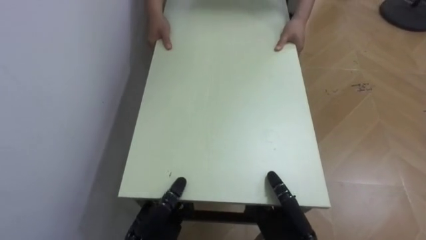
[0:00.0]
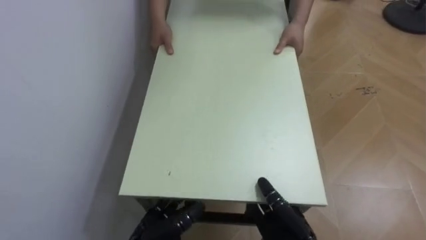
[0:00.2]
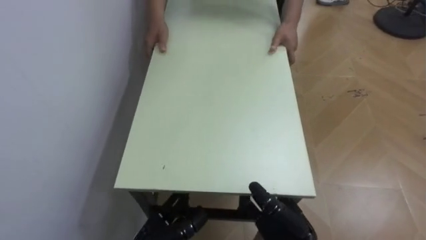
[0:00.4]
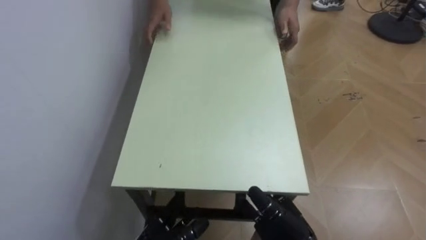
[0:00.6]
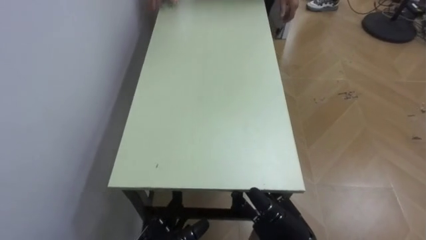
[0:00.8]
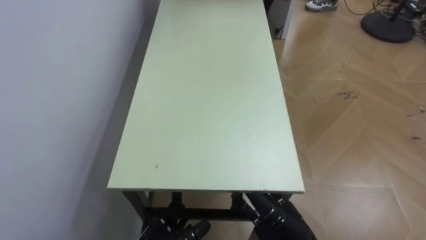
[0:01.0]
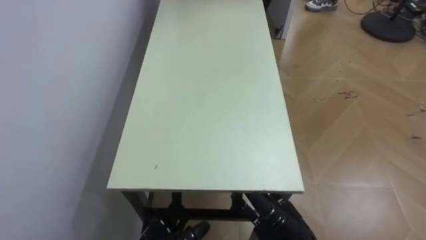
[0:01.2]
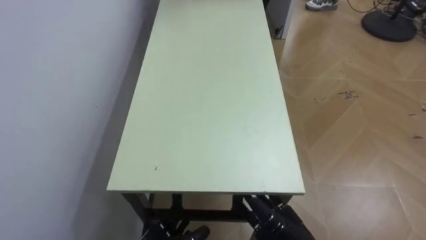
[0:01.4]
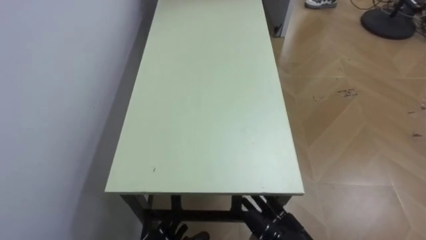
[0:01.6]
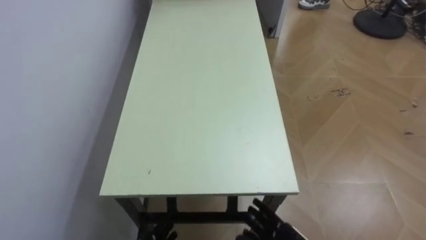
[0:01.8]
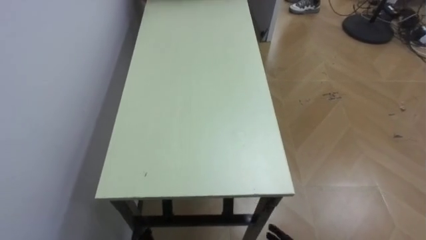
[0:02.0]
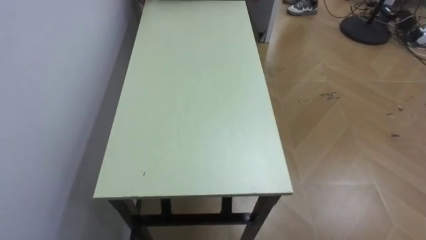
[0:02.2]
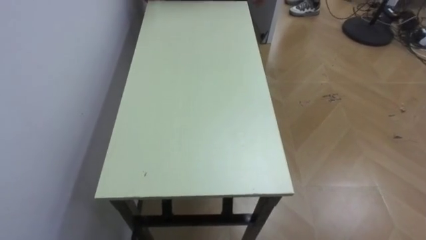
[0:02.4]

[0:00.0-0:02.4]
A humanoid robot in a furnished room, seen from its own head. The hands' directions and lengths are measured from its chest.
Task of the whole recording: Move the table to the back left with someone.
0:00.0 to 0:01.2: The right hand opens up.

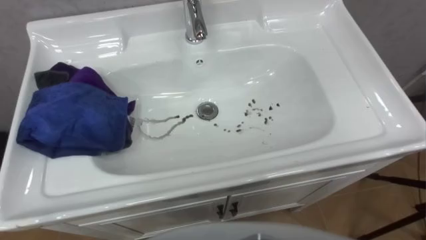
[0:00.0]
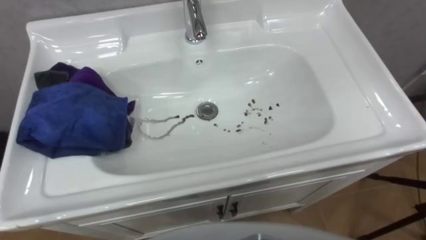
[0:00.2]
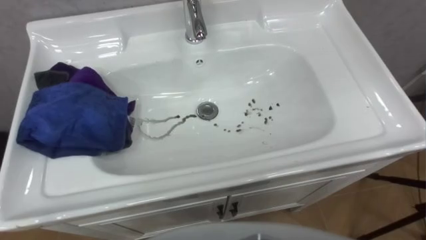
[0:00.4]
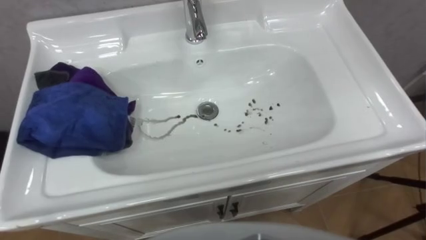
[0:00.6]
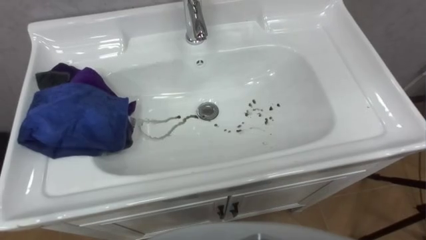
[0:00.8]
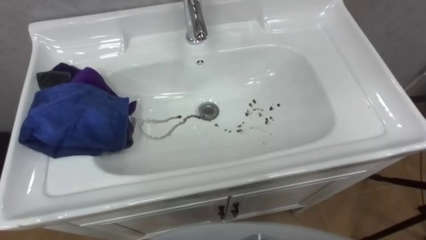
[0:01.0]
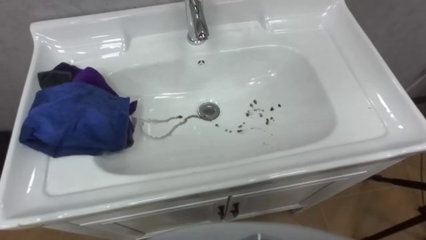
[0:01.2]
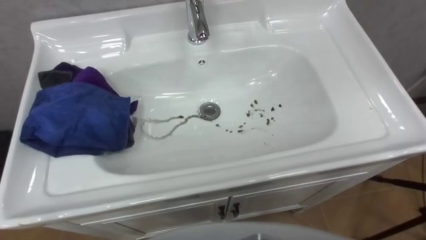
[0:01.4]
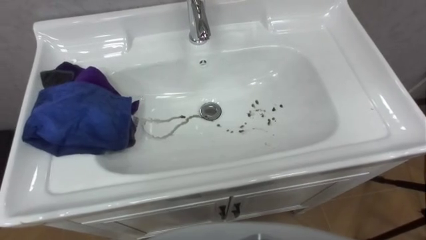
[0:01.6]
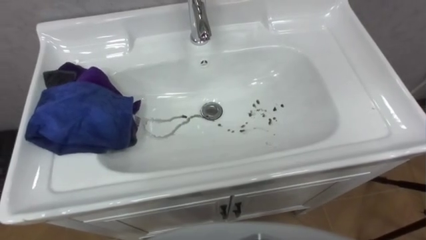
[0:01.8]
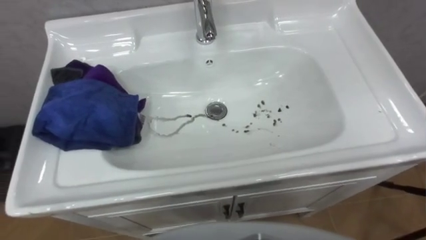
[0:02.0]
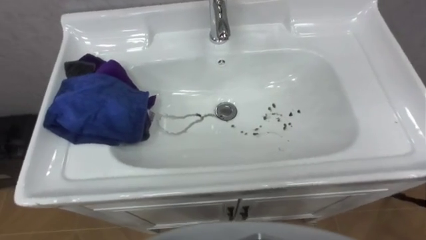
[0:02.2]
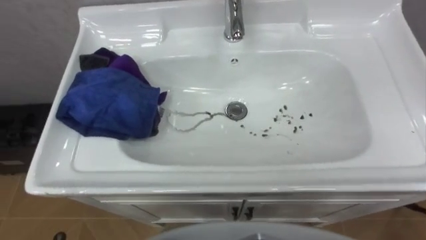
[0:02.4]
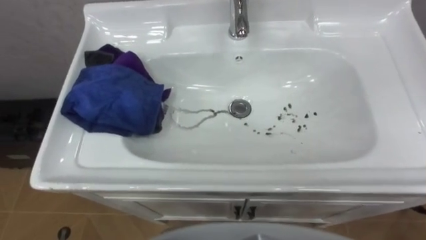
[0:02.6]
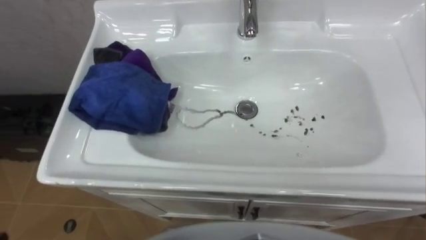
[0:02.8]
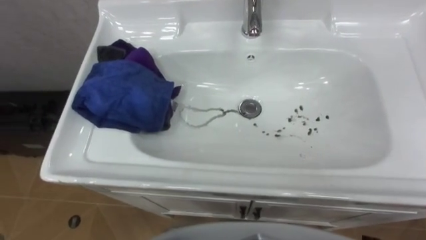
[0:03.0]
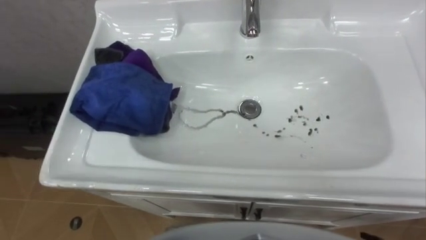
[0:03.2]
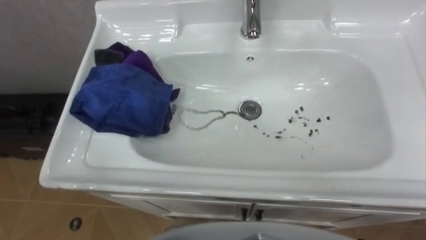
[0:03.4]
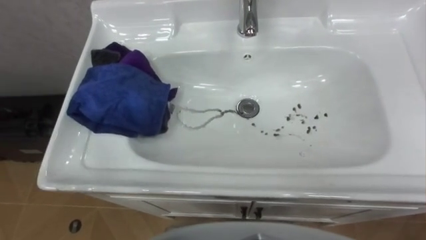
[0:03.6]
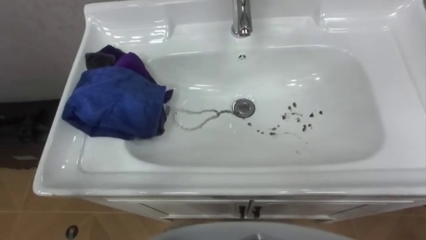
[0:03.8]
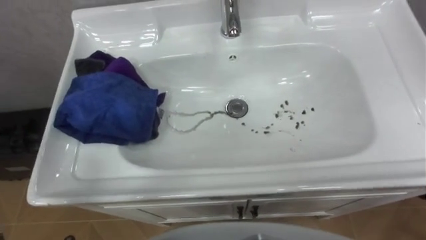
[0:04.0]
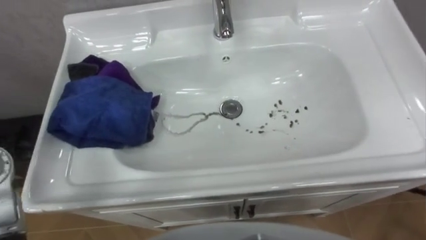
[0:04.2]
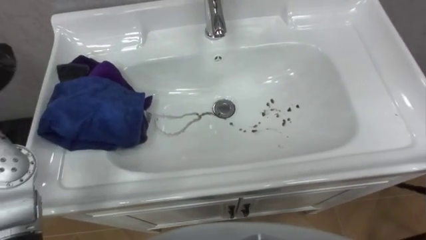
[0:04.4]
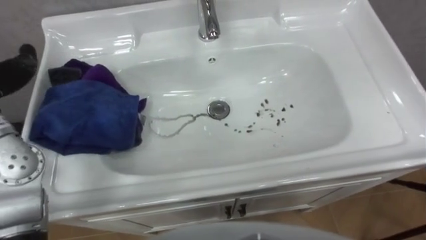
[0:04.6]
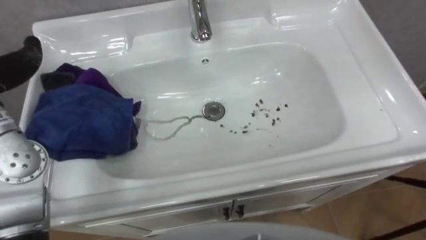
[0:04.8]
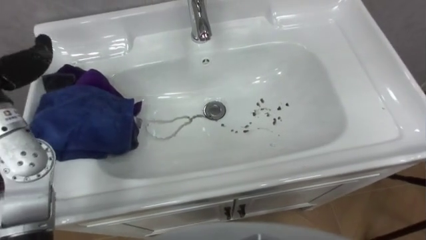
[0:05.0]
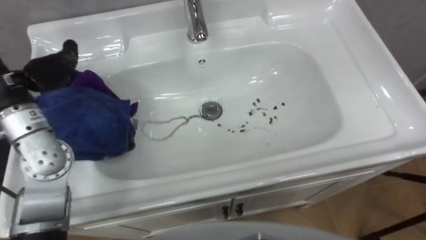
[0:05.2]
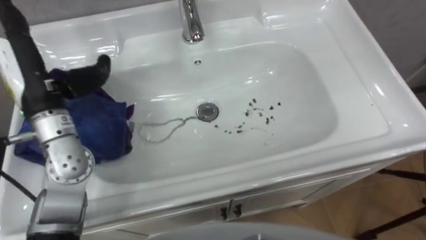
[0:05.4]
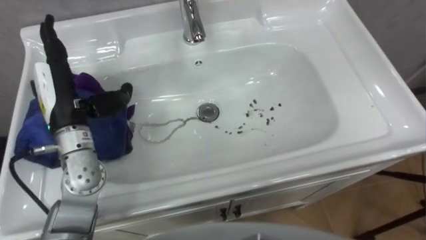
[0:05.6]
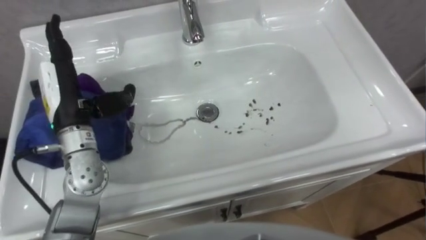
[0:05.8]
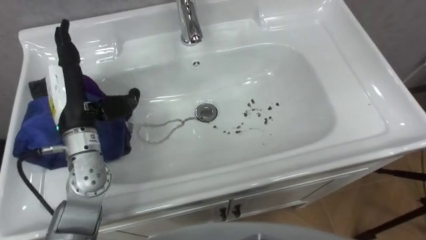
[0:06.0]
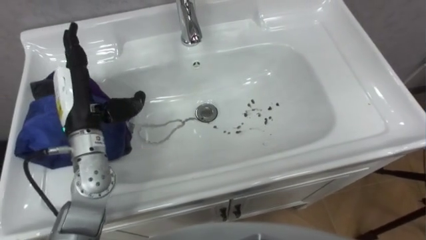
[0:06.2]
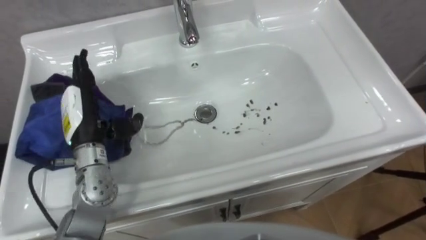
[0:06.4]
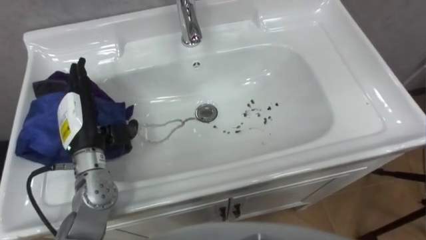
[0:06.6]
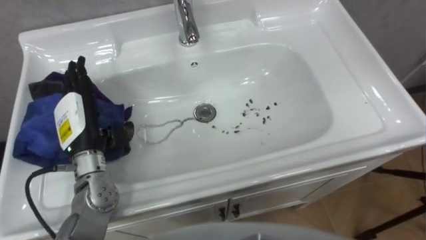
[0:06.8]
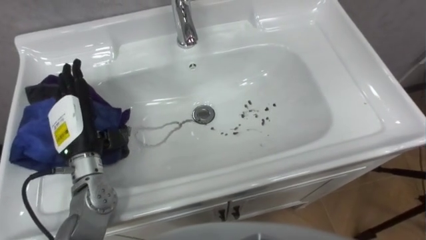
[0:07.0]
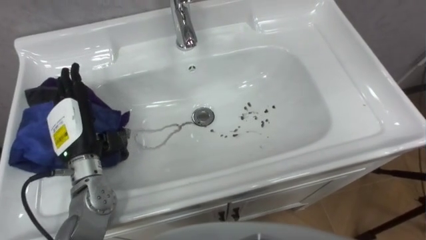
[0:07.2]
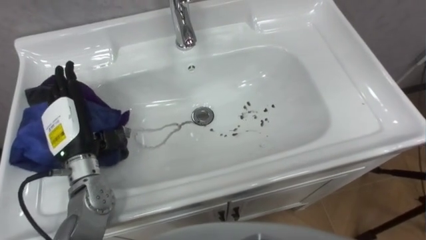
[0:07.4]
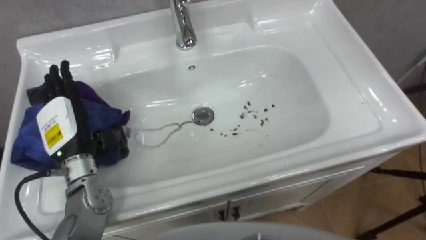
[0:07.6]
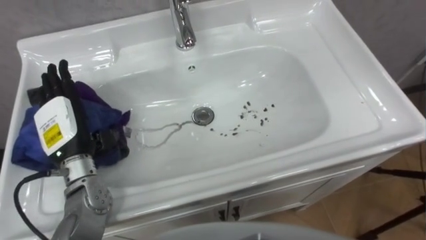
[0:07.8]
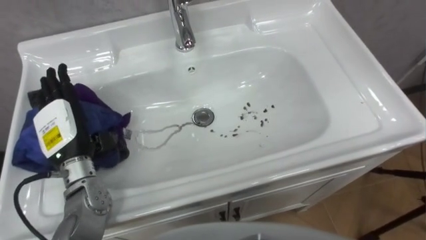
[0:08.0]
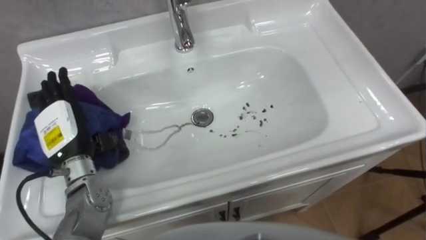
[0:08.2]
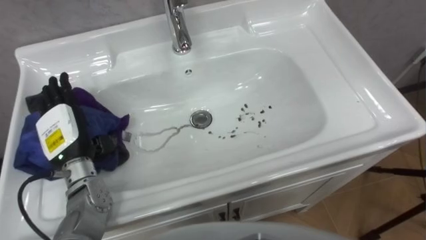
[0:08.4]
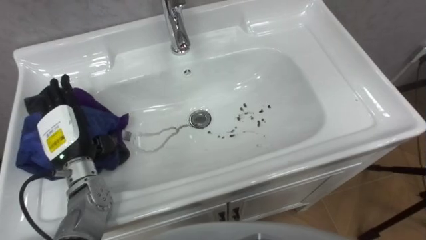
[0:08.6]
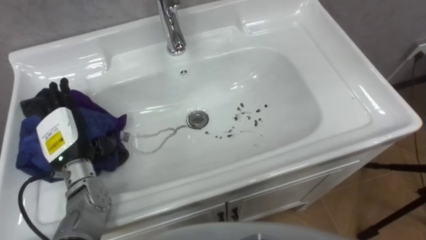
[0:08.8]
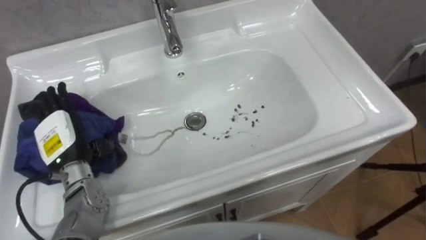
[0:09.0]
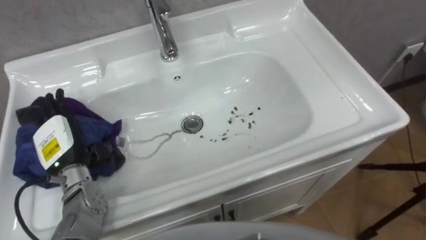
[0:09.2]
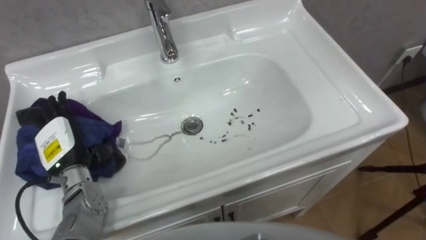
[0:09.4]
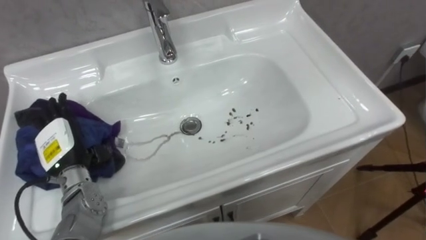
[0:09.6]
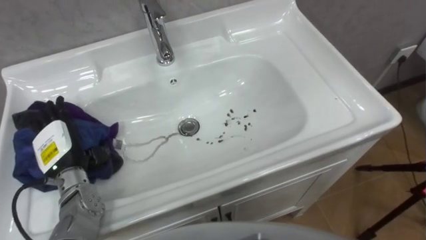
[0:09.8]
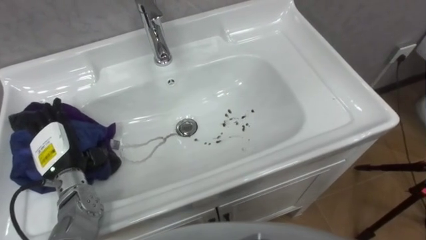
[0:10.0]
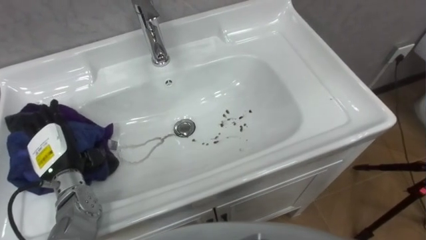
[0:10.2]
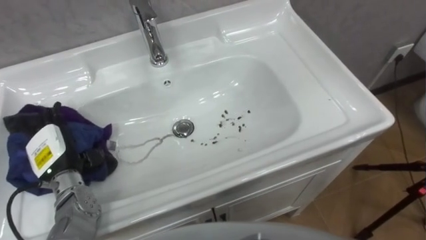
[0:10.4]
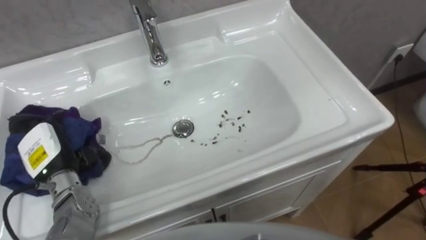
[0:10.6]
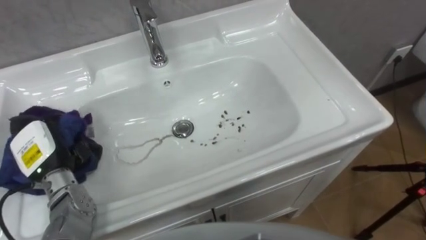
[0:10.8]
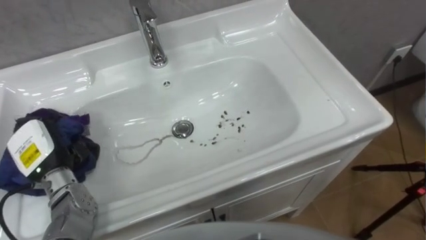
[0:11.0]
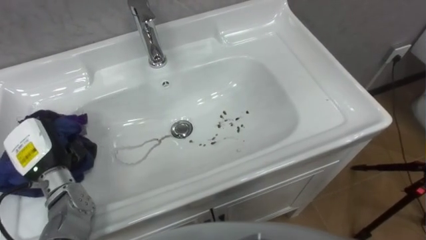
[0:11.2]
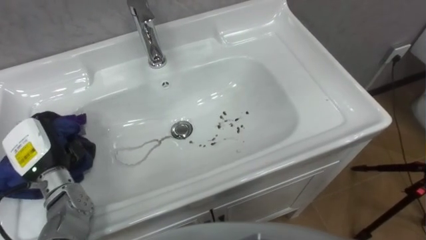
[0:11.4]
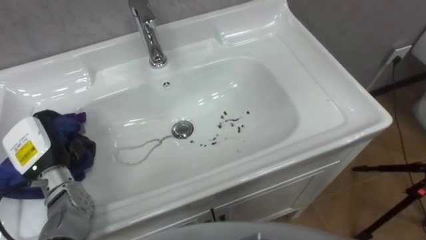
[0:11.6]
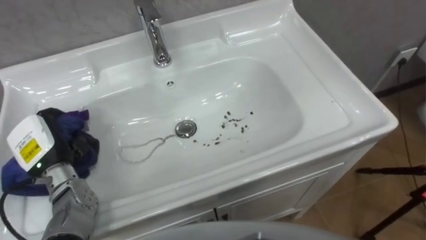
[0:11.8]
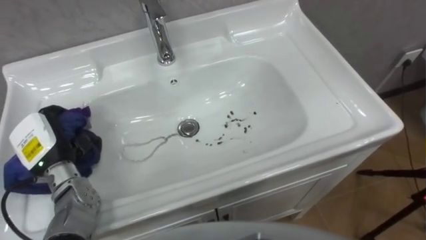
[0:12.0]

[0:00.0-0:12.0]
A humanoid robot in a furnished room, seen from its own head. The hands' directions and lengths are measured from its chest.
Task of the whole recording: Use the cloth on the right to wipe away the black stain in the sink.
0:06.0 to 0:07.6: The left hand heads downward, covering approximately 5 cm.
0:07.6 to 0:09.0: The left hand shifts by about 5 cm.
0:10.4 to 0:12.0: The left hand closes up.

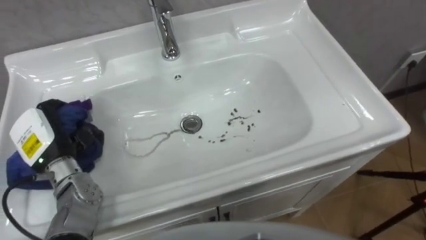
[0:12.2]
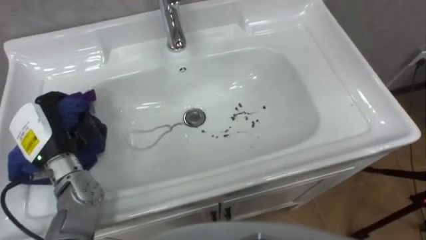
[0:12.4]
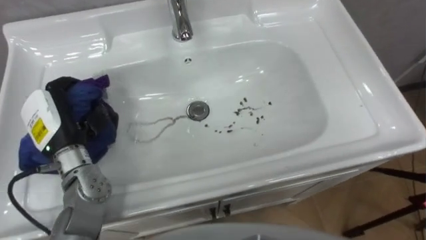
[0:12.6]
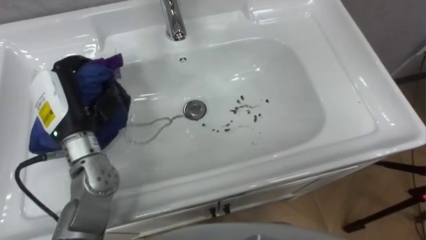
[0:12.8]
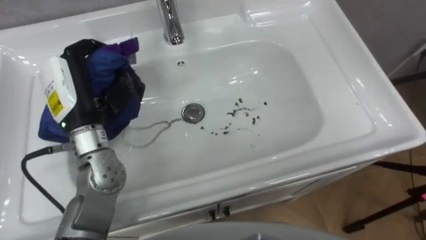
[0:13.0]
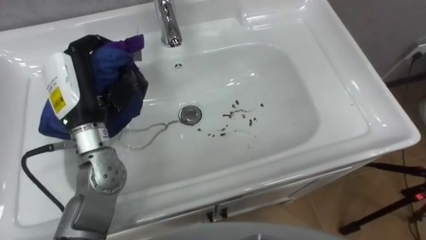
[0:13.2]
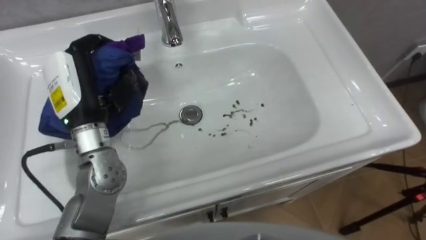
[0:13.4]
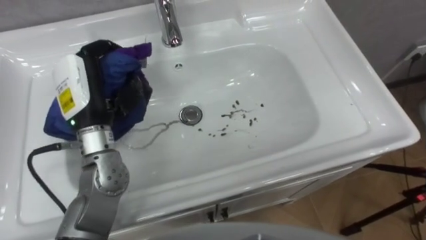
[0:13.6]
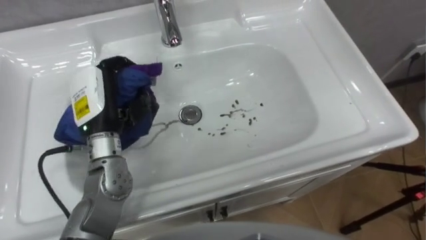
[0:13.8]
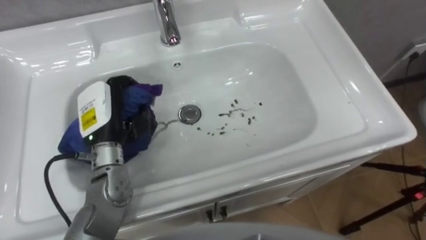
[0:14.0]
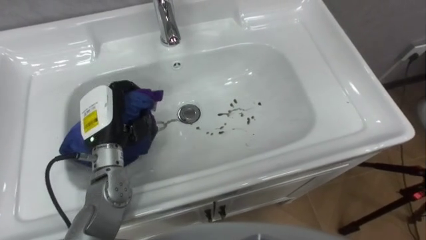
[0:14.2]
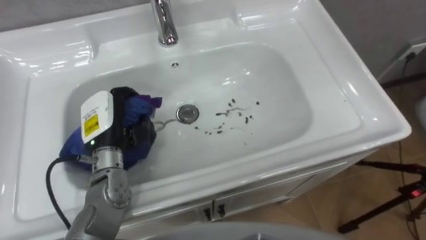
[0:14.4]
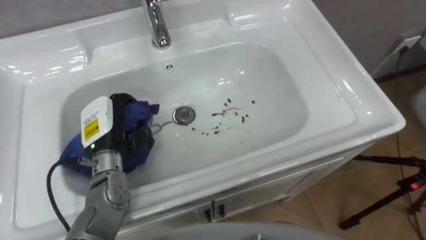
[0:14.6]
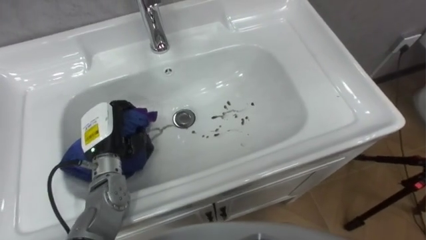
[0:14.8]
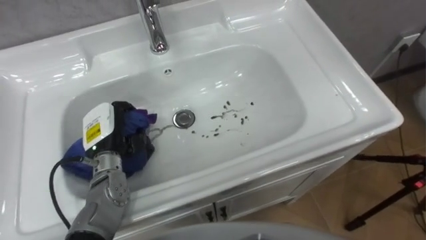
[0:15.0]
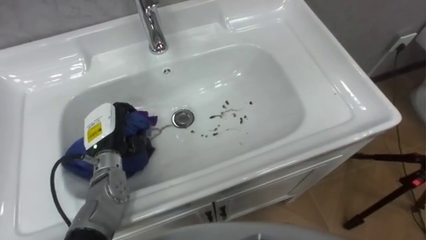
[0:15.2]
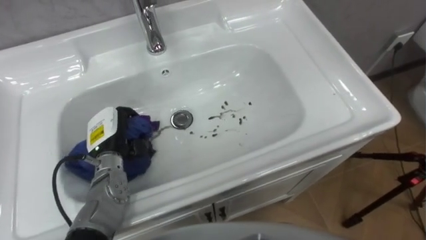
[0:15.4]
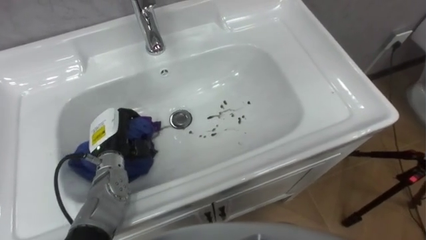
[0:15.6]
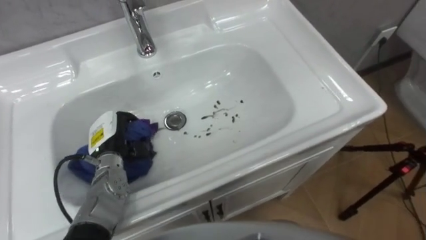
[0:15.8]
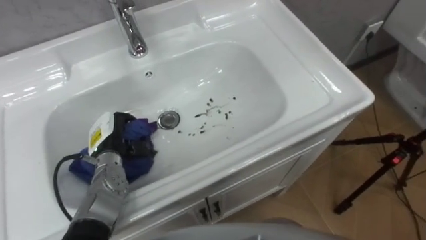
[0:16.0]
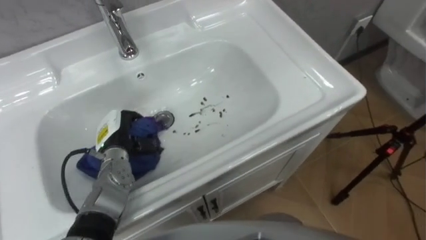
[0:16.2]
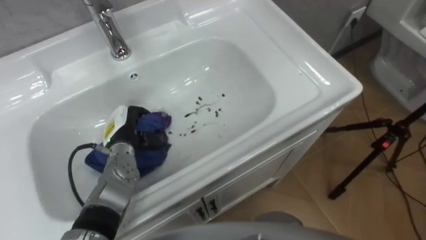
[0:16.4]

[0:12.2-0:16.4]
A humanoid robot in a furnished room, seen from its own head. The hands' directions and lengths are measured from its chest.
Task of the whole recording: Use the cloth on the right to wipe away the black stain in the sink.
0:12.2 to 0:13.6: The left hand heads upward and to the right, covering roughly 15 cm.
0:13.6 to 0:15.0: The left hand travels downward by roughly 15 cm.
0:15.0 to 0:16.4: The left hand moves roughly 5 cm.
